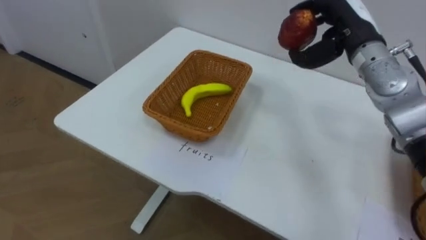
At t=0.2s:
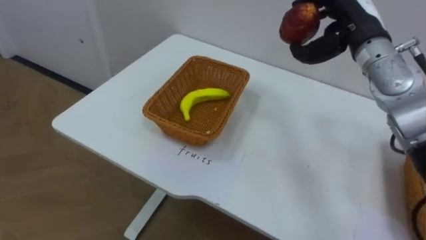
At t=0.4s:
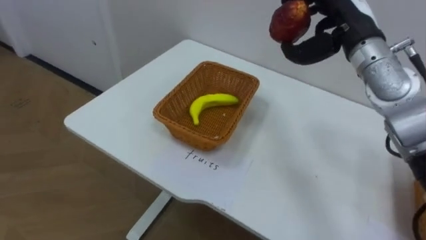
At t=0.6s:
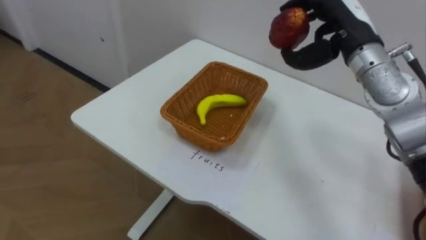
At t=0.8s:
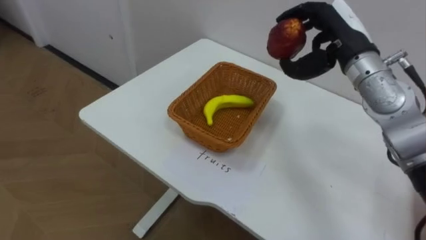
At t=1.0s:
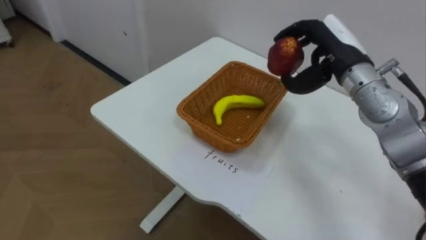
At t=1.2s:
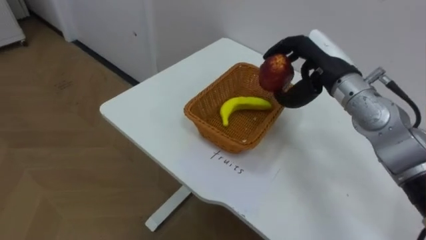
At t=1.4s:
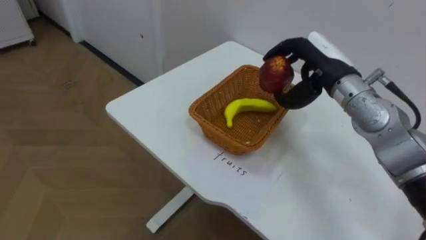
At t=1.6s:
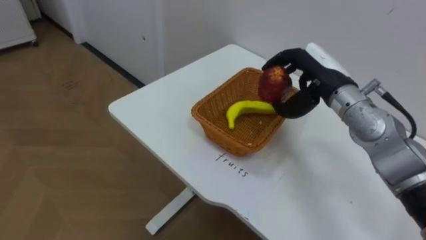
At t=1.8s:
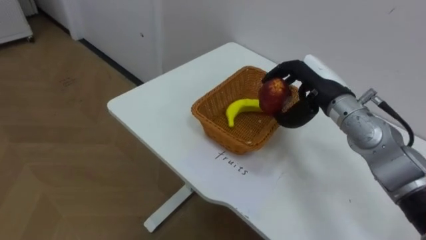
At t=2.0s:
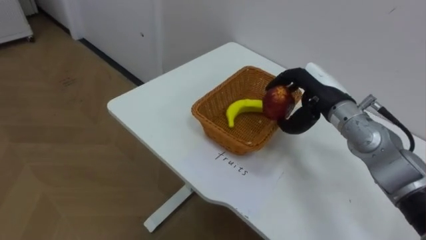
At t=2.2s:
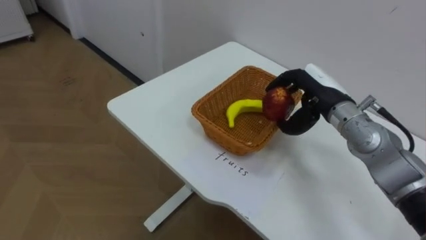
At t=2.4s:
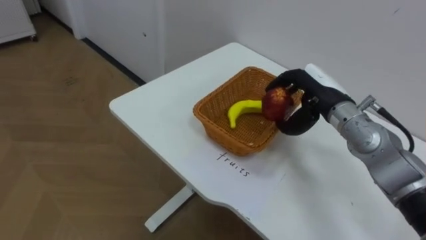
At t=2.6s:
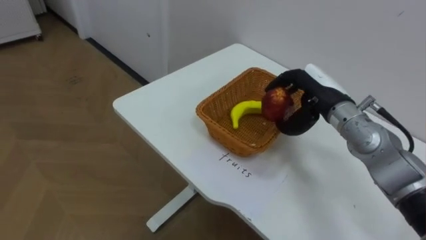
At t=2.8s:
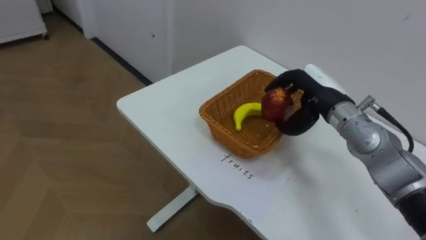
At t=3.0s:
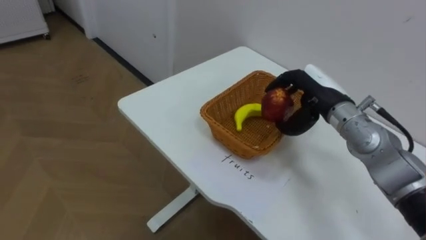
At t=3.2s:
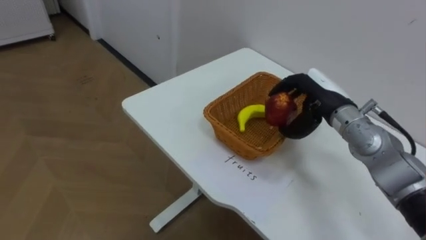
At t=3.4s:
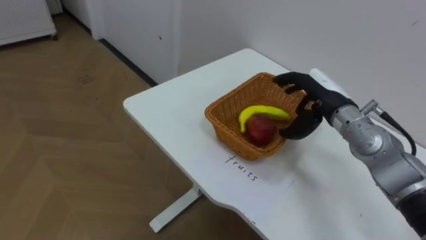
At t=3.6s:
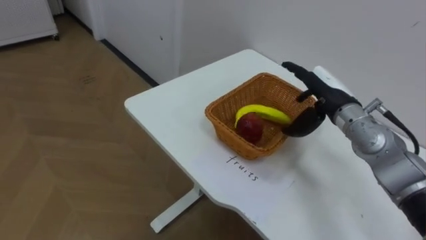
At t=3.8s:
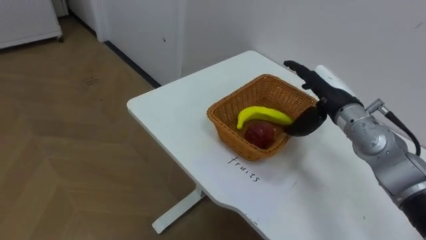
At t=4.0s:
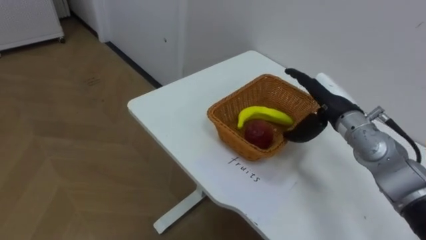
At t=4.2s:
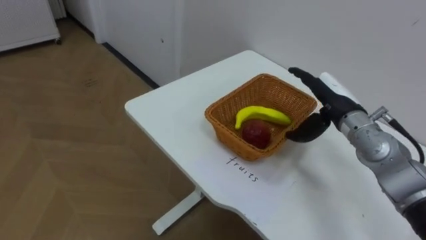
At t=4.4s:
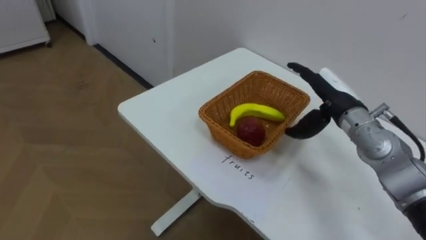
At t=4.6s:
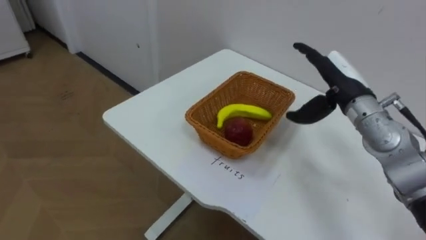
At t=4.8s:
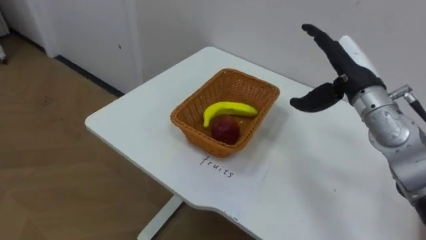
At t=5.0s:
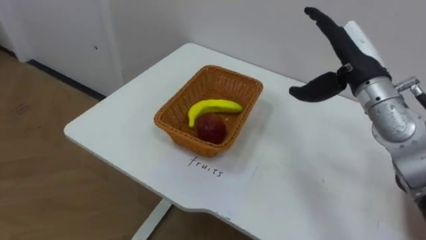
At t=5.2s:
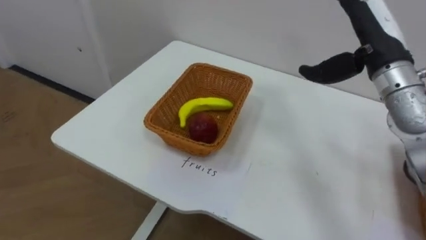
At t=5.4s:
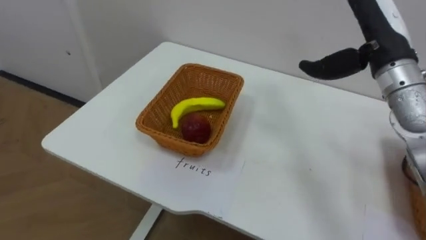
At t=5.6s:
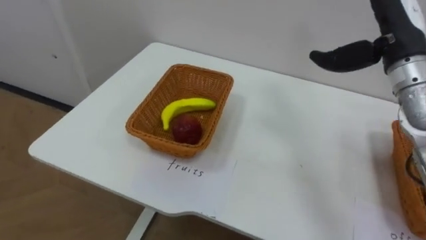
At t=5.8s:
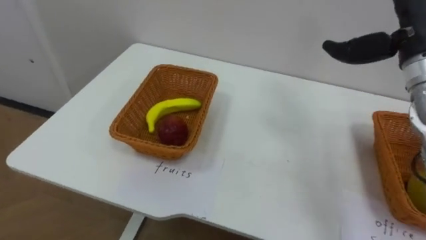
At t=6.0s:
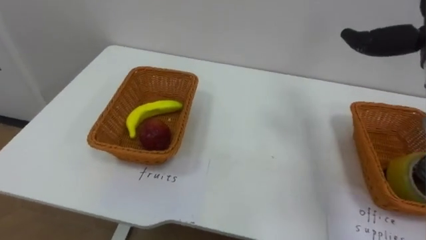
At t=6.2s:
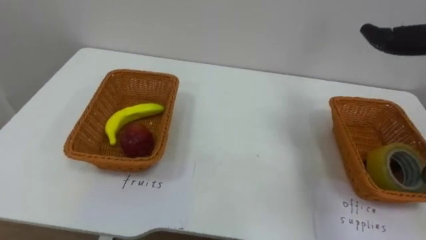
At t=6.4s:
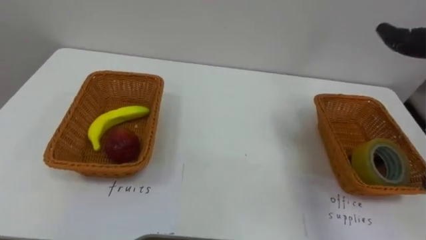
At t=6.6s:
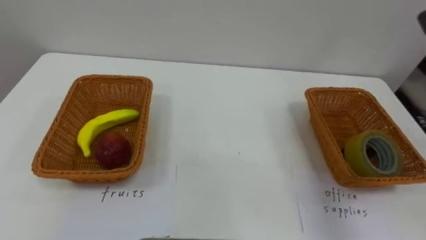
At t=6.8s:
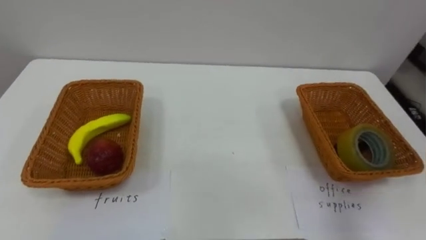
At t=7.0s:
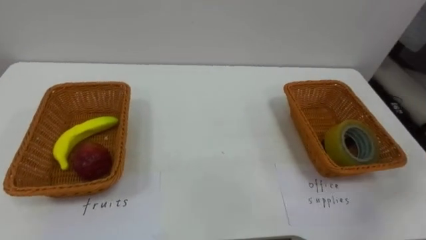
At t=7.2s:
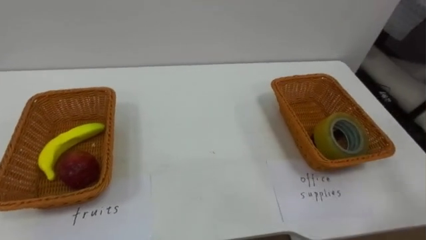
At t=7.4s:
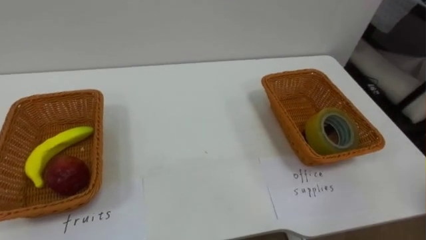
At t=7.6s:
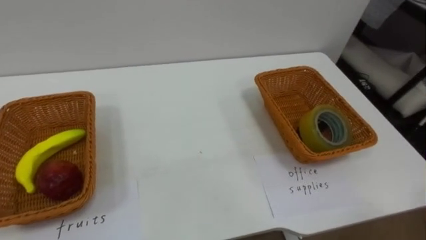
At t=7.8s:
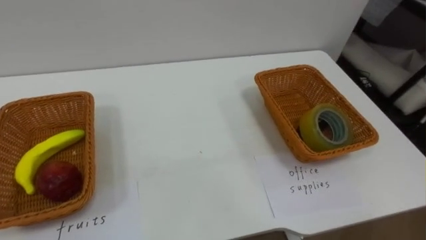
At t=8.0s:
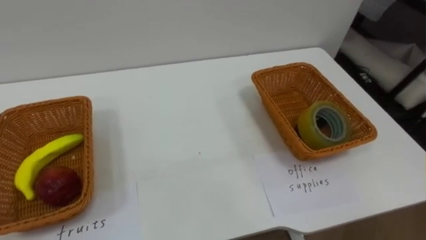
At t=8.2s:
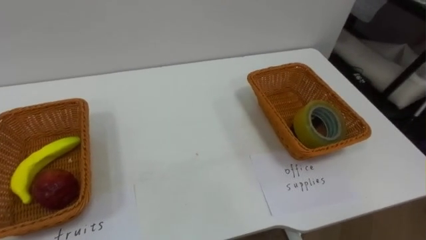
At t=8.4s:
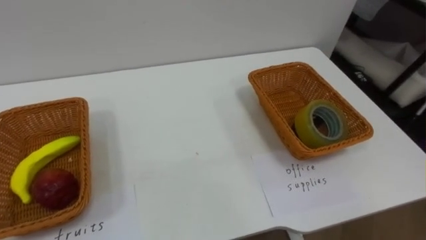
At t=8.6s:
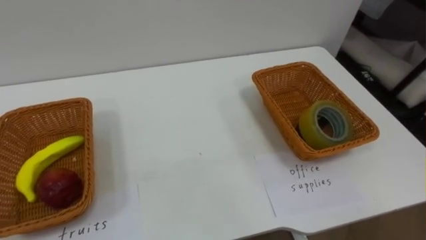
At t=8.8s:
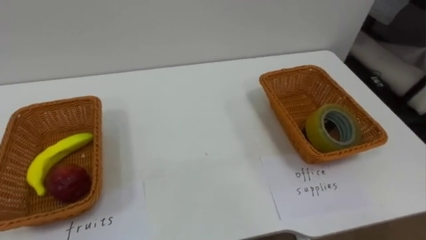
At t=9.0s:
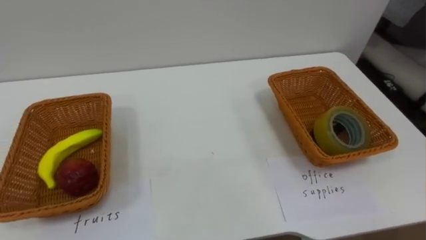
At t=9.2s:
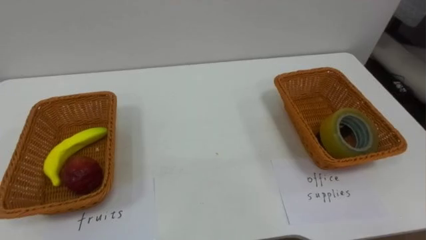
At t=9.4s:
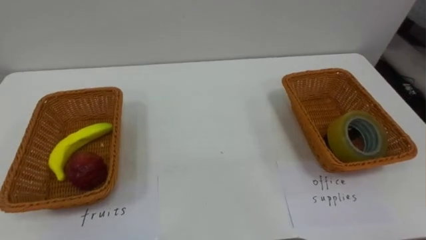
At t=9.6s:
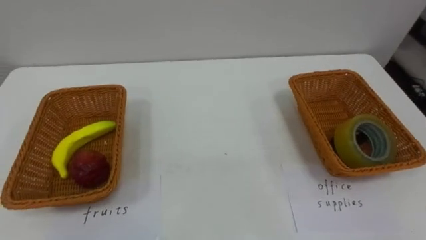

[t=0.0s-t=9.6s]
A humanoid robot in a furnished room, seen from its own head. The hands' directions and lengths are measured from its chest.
Task of the whole recording: Separate the items on the table and place them into the two baskets.
t=0.0s to t=1.6s: The right hand shifts roughly 5 cm downward.
t=1.6s to t=3.2s: The right hand changes place by about 5 cm.
t=3.2s to t=4.8s: The right hand heads upward, covering about 5 cm, and opens up.

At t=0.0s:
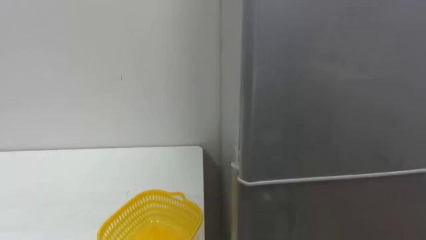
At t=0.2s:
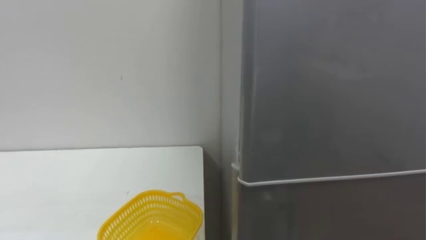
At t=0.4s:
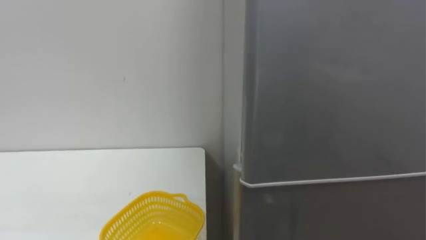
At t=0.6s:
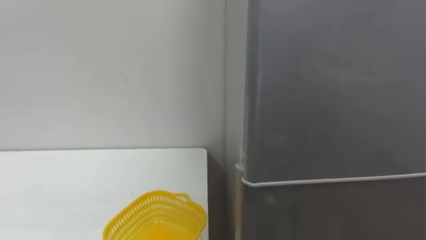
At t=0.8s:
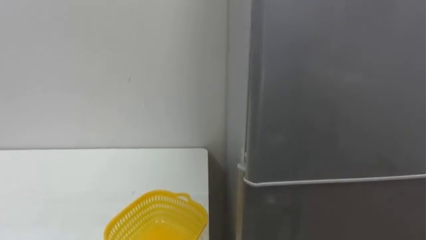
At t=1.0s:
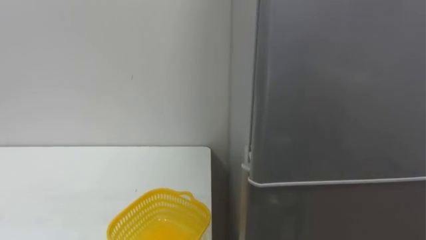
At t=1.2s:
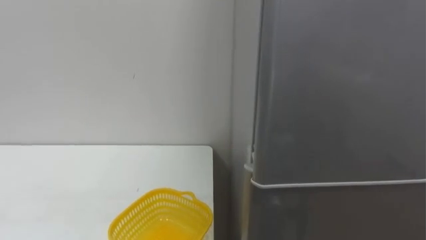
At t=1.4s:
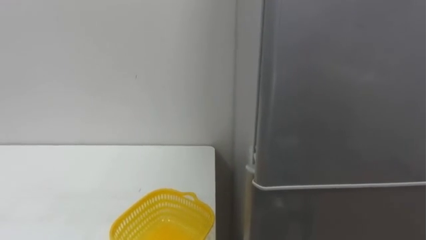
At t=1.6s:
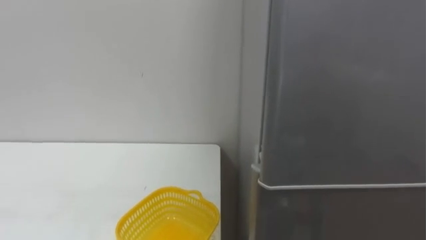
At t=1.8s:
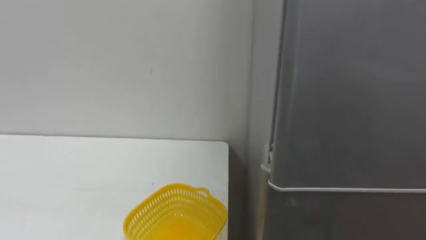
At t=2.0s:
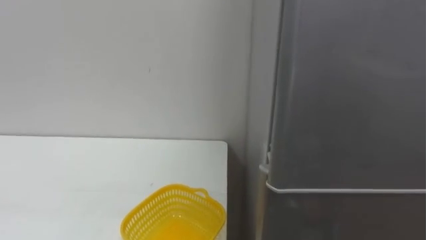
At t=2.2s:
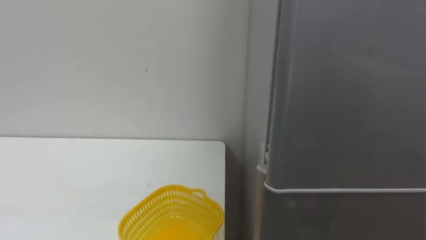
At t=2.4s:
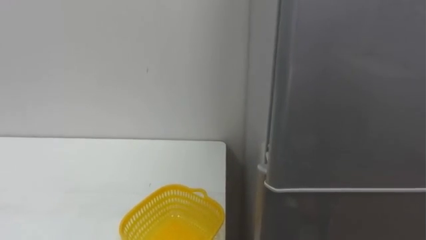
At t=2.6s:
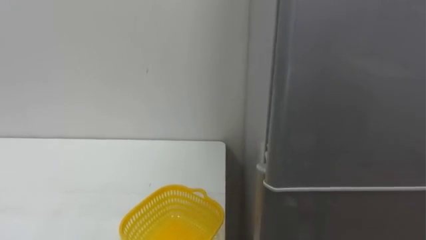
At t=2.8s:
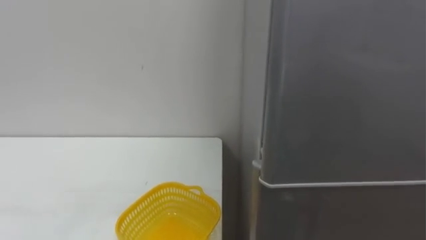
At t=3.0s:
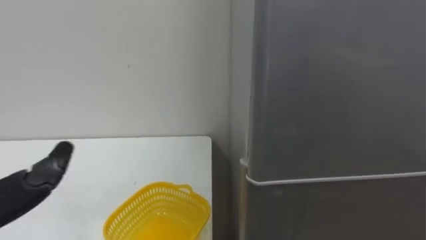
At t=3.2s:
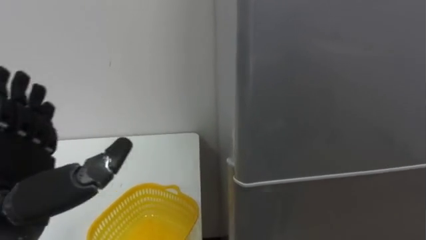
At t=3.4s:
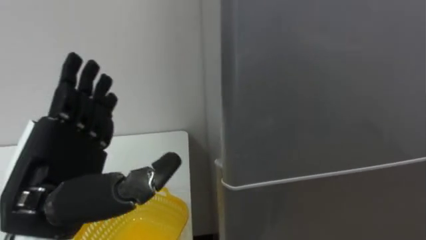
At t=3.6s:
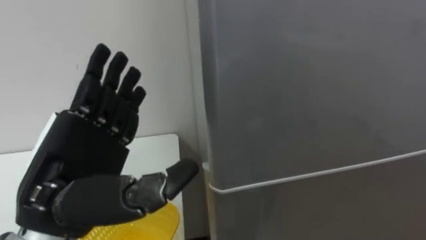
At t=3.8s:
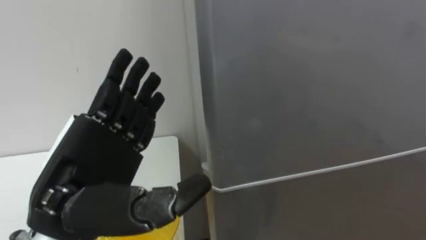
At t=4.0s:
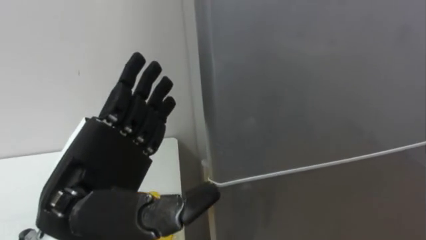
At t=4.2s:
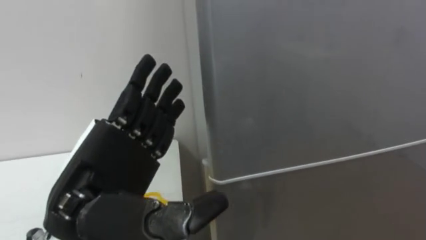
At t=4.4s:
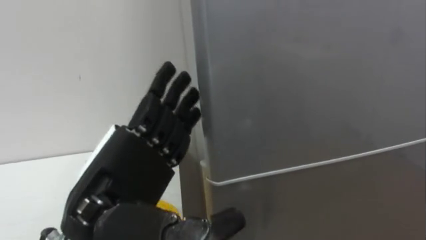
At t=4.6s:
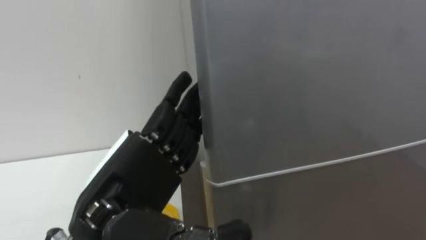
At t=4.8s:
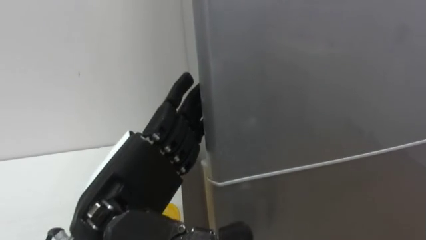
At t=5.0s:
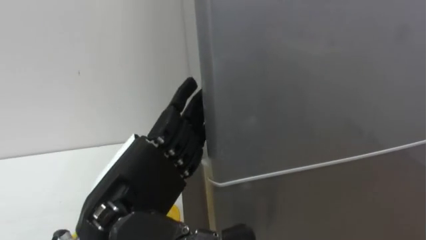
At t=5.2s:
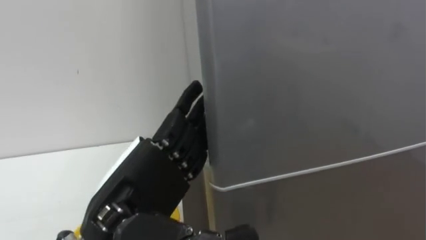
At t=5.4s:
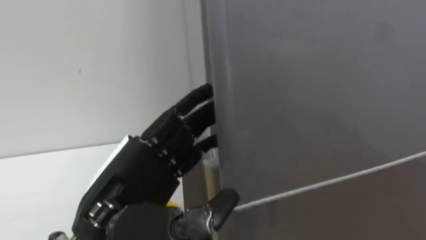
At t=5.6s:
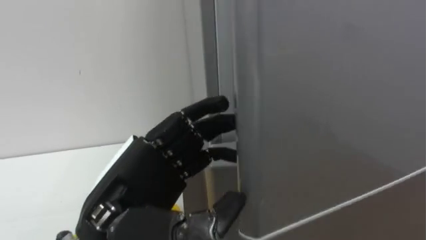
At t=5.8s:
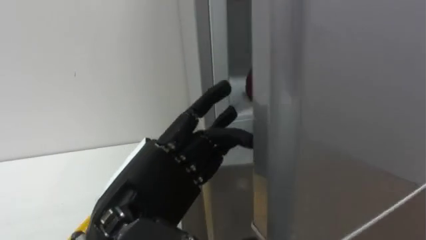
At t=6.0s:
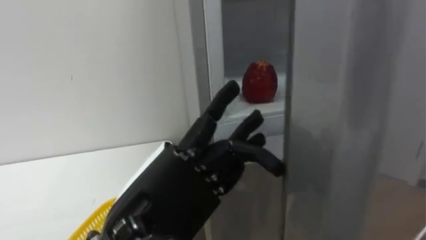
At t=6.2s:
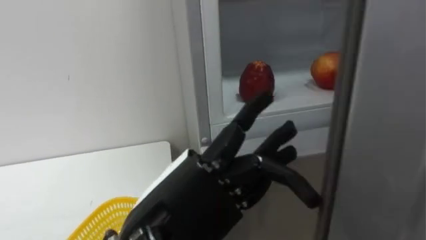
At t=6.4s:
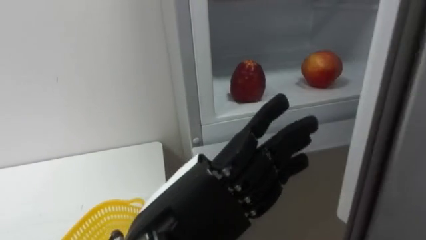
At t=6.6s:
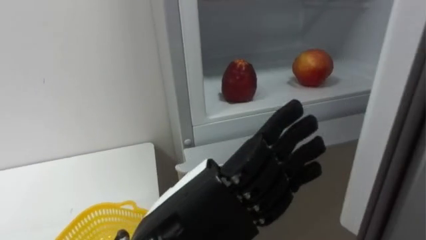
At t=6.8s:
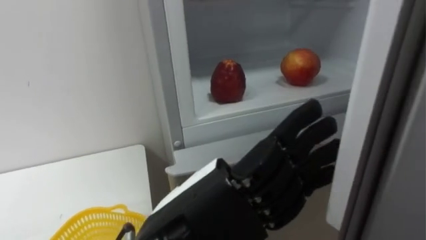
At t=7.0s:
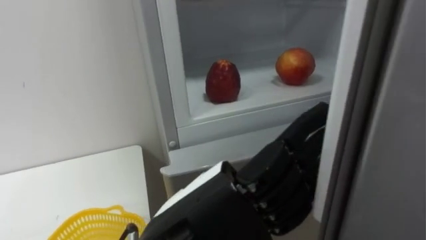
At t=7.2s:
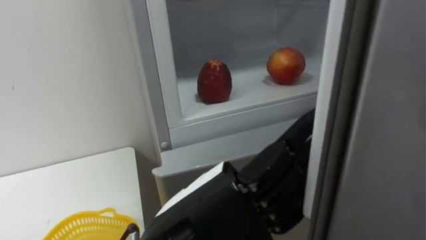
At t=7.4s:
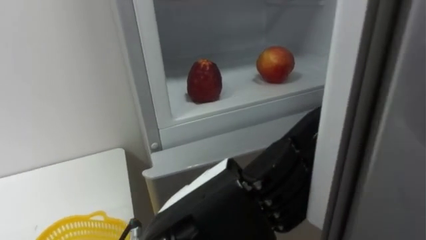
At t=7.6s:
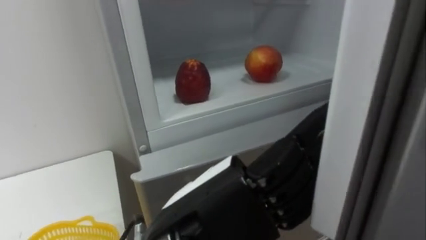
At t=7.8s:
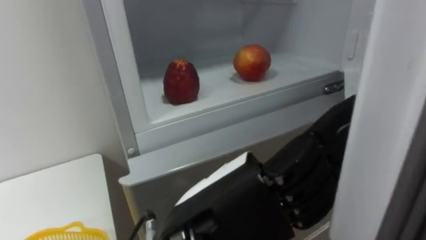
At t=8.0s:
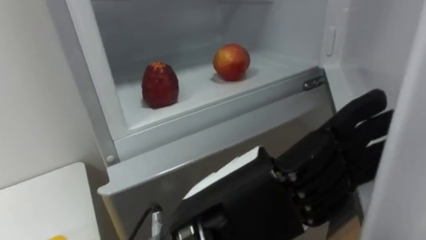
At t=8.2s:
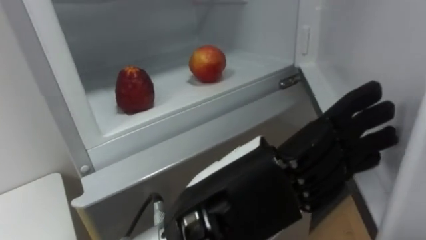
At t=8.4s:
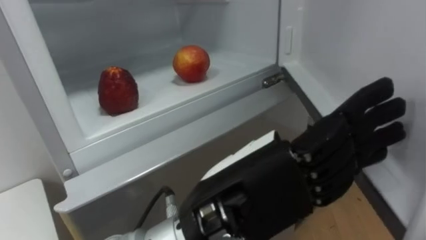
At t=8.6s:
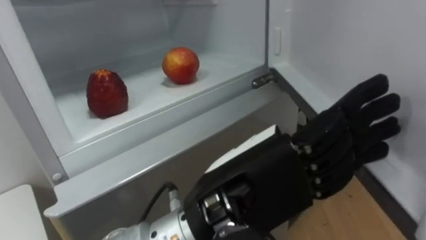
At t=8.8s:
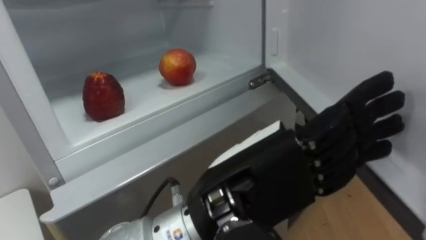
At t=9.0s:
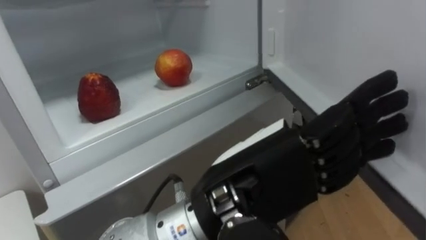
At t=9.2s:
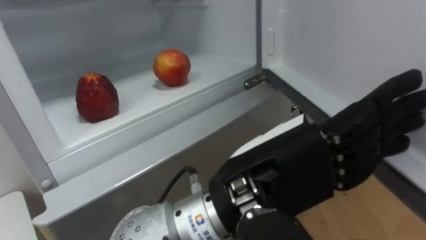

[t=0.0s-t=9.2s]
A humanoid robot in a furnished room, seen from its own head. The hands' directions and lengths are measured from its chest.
Task of the whole recording: Open the refrigerator door, take out the apple and the pomegranate, place them in the fruit basket on the left, and close the refrigerator door.
t=4.6s to t=6.2s: The left hand travels to the right by about 5 cm.
t=7.6s to t=9.2s: The left hand travels to the right by about 5 cm.
